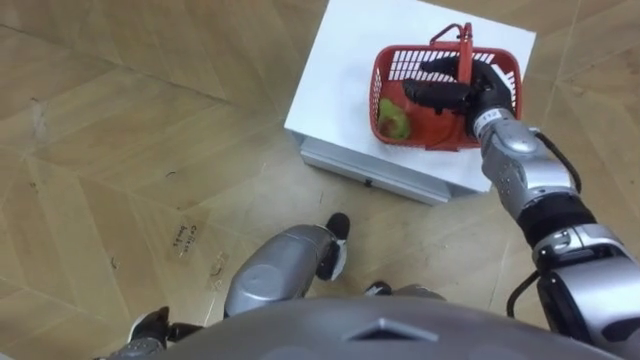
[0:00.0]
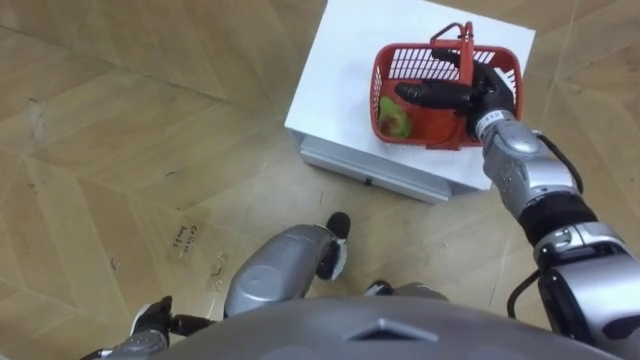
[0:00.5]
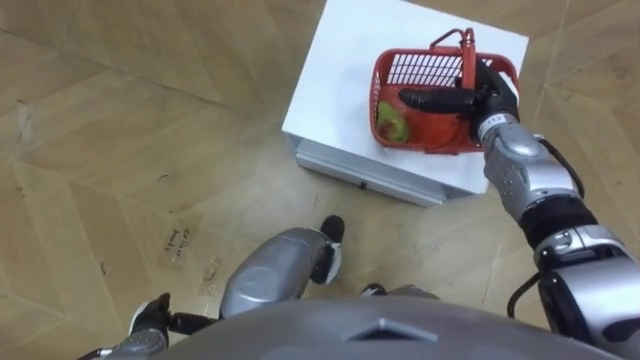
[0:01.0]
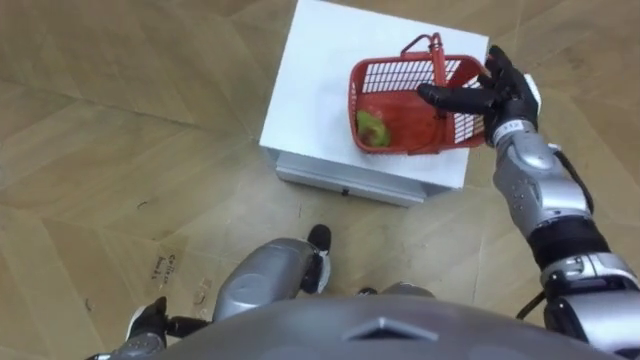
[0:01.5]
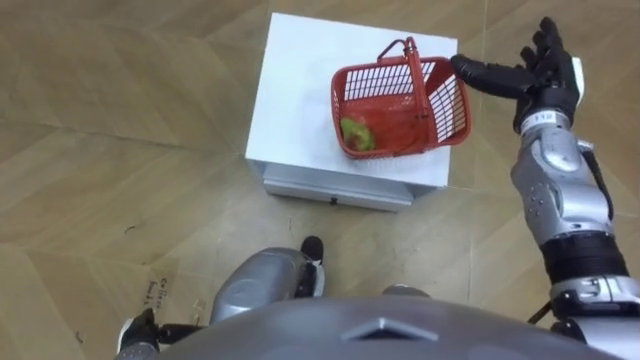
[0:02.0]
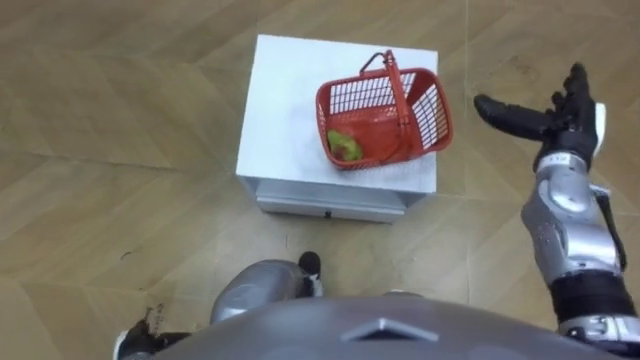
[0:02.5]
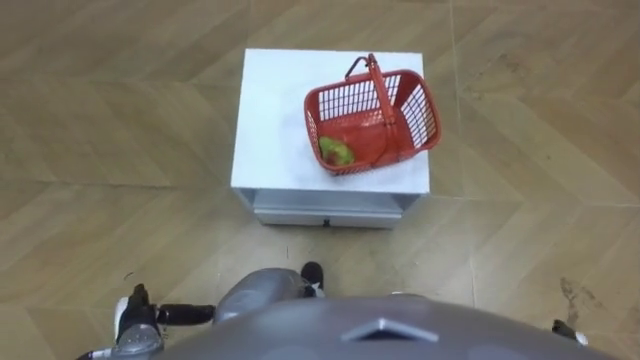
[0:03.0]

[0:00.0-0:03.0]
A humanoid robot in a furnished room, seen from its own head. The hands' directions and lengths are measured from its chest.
Task of the whole recording: Pick up the fruit basket from the floor and place it on the cabinet.
0:00.0 to 0:01.5: The right hand opens.
0:01.5 to 0:03.0: The right hand moves backward and downward, roughly 35 cm.

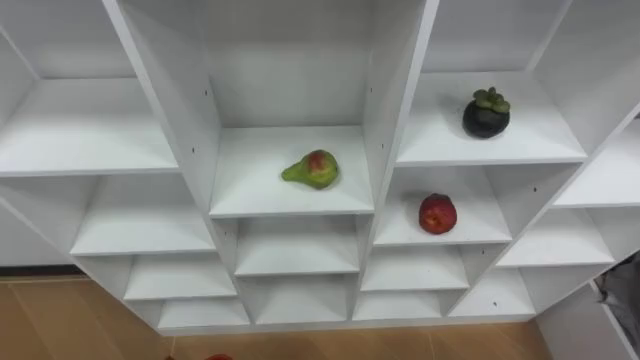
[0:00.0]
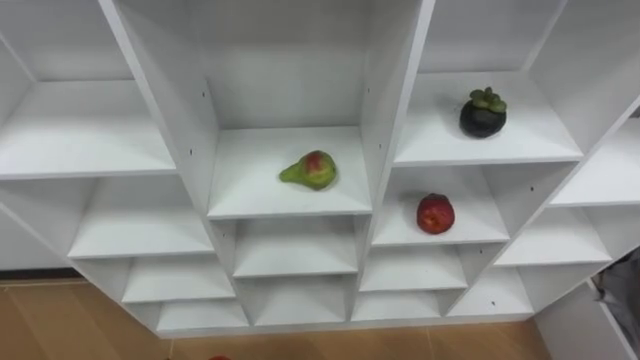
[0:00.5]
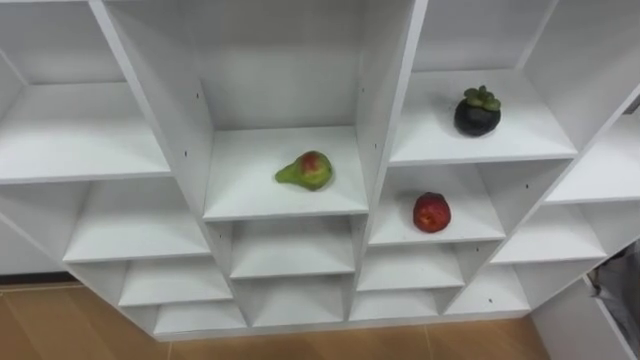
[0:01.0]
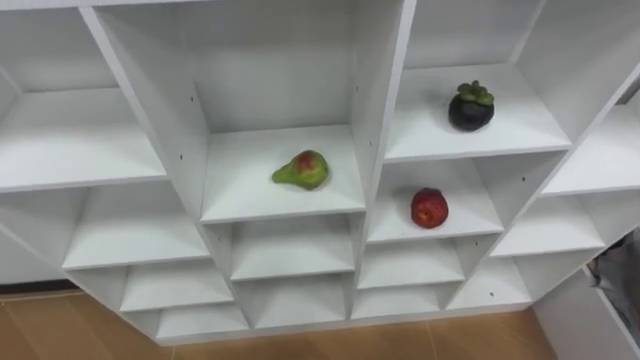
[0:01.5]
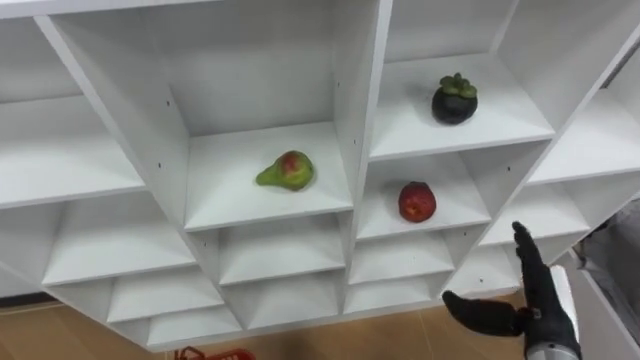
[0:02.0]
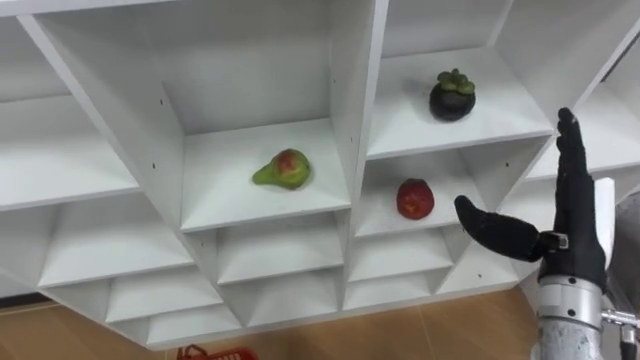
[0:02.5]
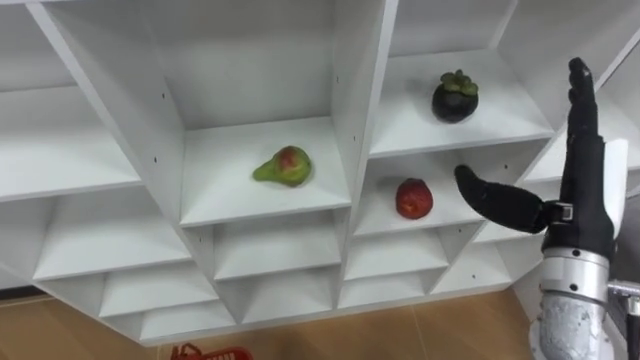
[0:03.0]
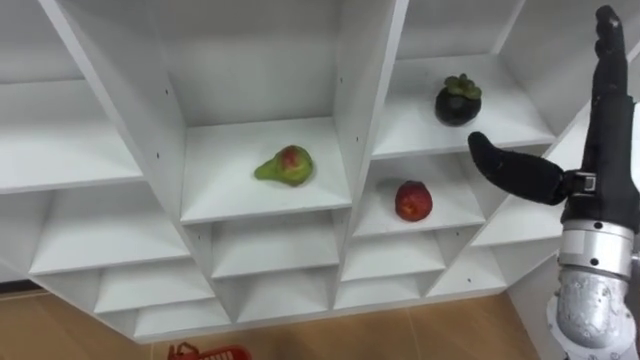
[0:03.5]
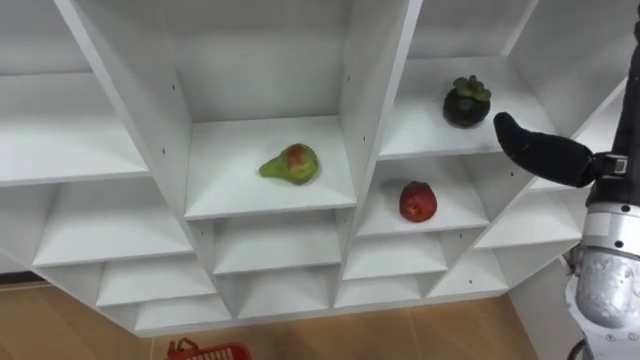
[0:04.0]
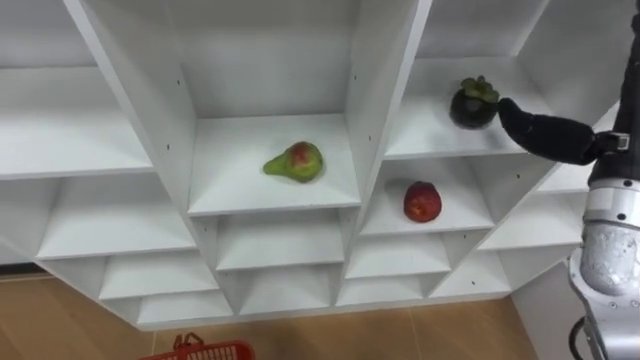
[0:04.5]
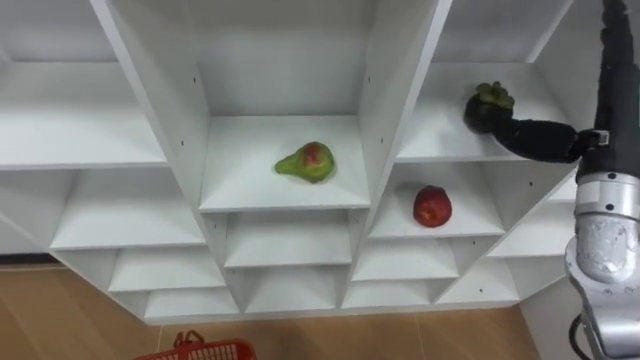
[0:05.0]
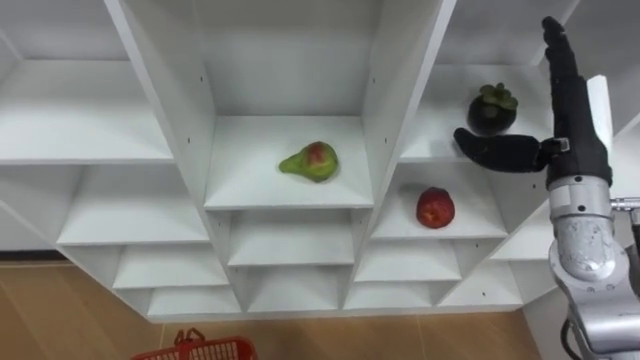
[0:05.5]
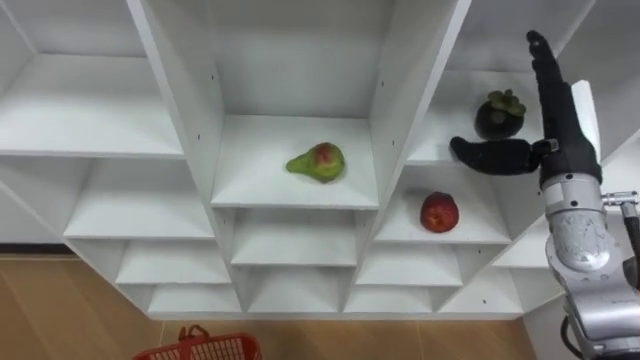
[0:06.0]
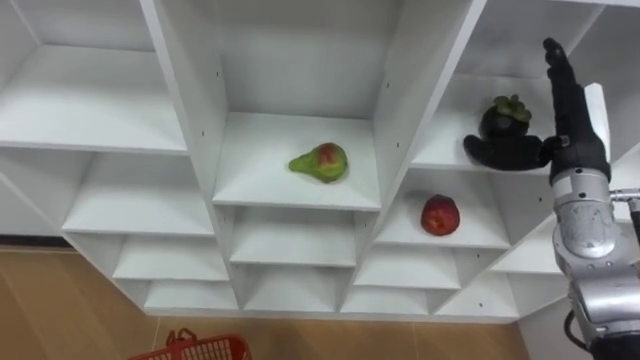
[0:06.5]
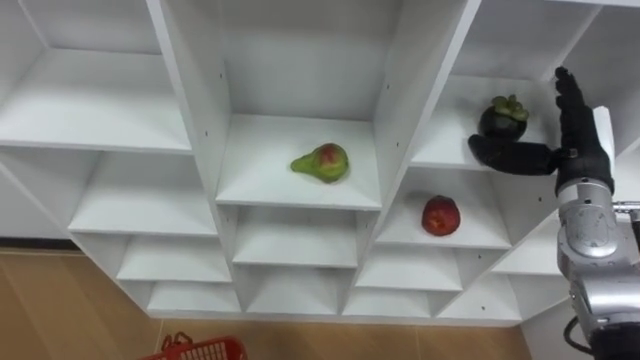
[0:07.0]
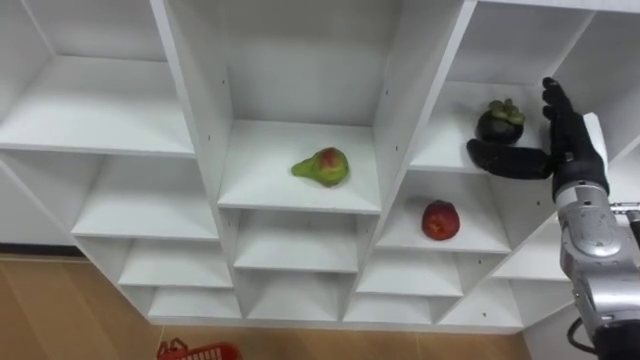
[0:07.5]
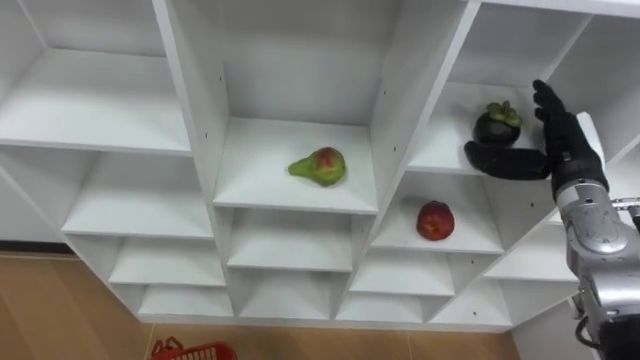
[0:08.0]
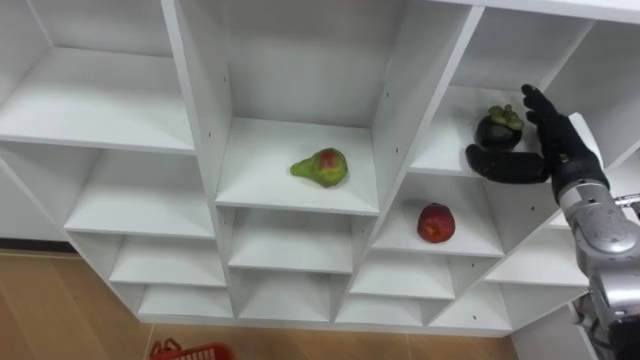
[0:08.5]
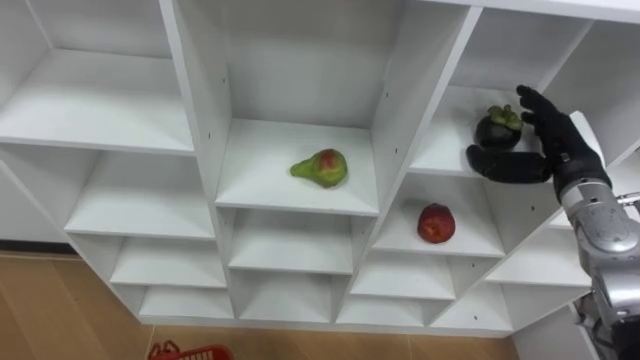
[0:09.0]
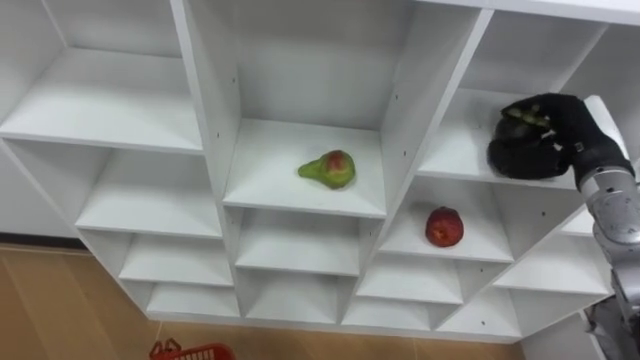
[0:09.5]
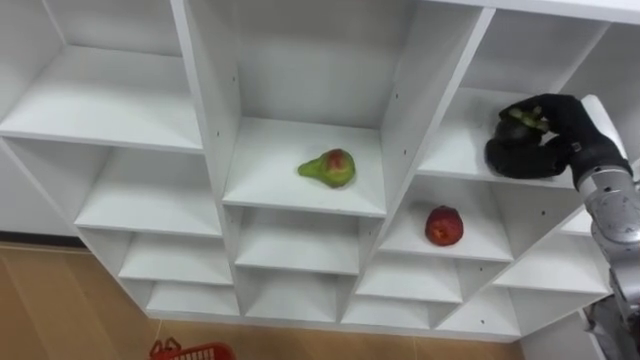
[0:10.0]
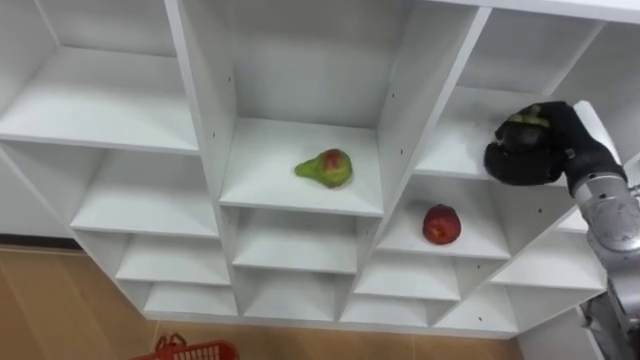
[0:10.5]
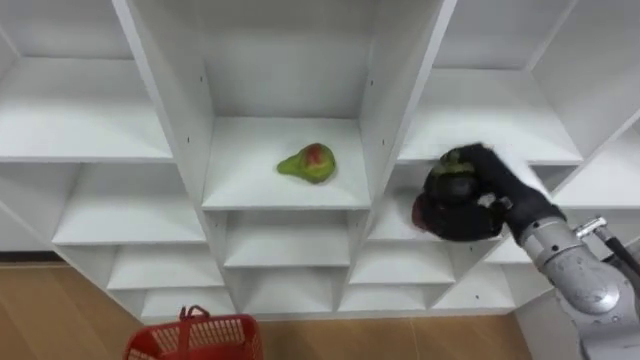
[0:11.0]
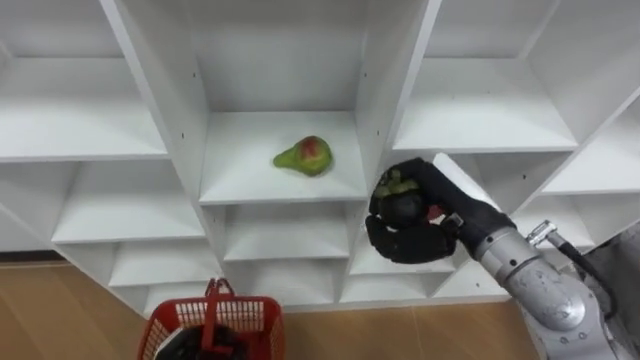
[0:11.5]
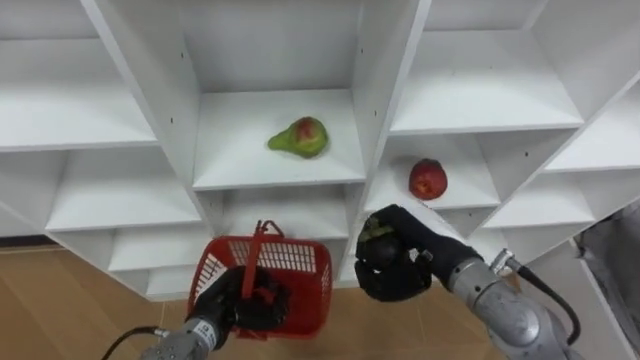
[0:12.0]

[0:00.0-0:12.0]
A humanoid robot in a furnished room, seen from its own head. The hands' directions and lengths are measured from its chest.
Task of the whole recording: Hold the basket and collect the fruits from 3 different cells of the closet into it.
0:02.0 to 0:04.0: The right hand goes roughly 20 cm upward.
0:04.0 to 0:06.0: The right hand is displaced forward and downward by some 10 cm.
0:06.0 to 0:08.0: The right hand goes roughly 5 cm downward.
0:08.0 to 0:10.0: The right hand closes its fingers.
0:10.0 to 0:12.0: The right hand shifts some 20 cm to the left and backward.

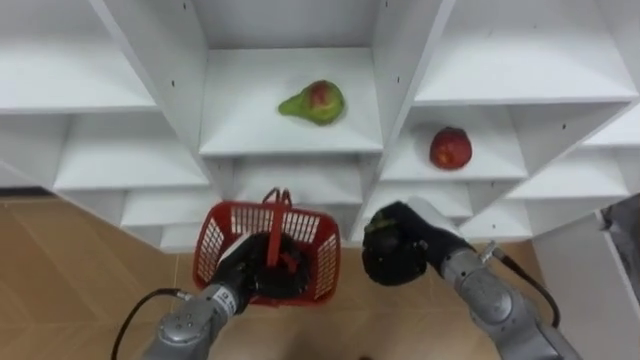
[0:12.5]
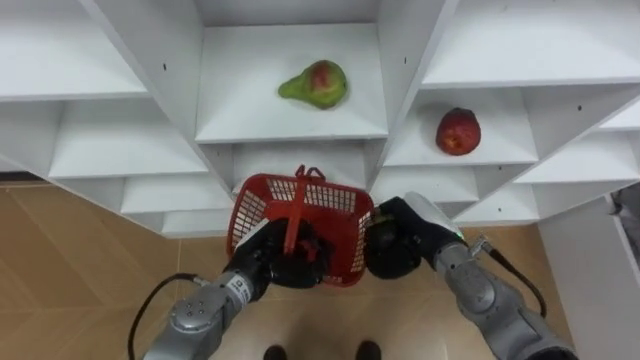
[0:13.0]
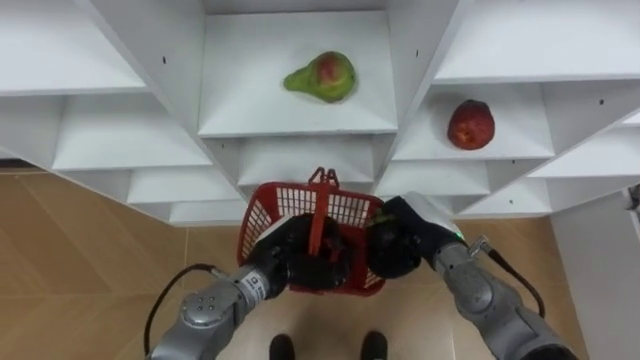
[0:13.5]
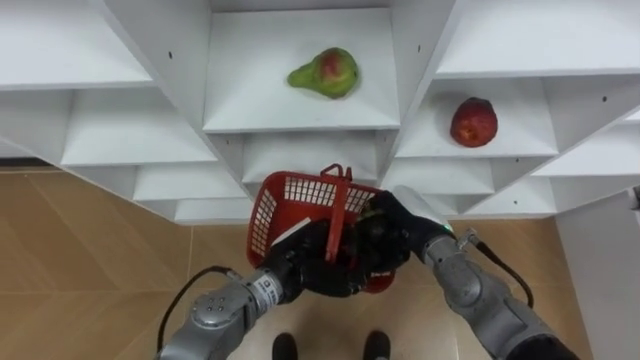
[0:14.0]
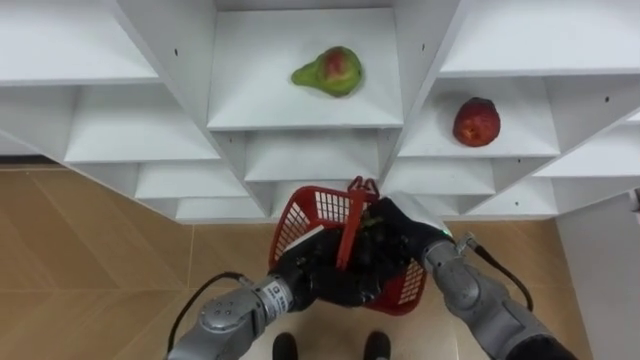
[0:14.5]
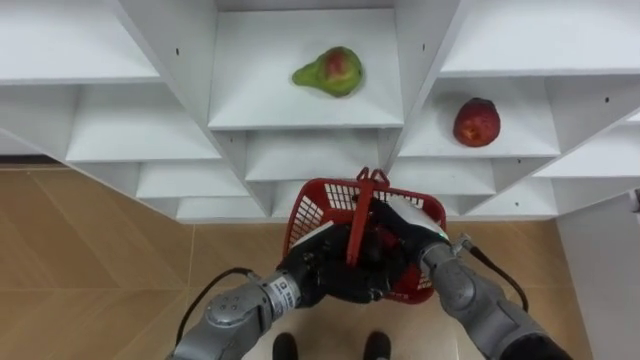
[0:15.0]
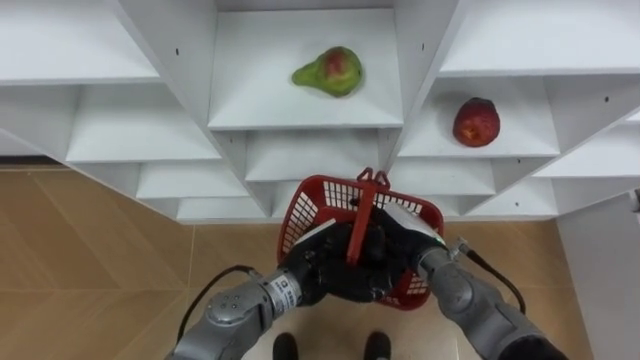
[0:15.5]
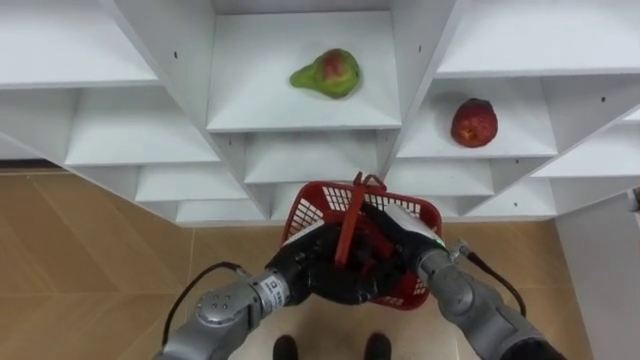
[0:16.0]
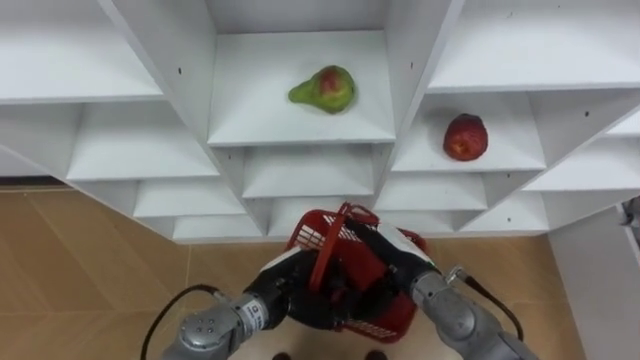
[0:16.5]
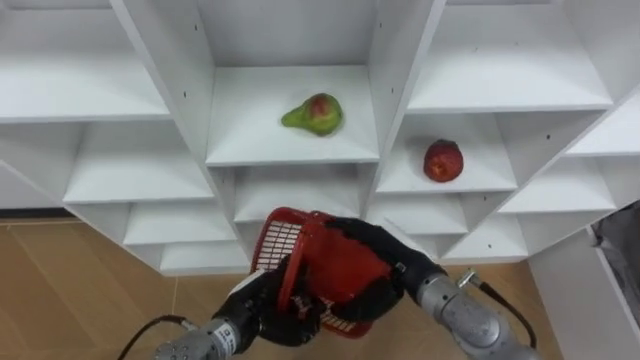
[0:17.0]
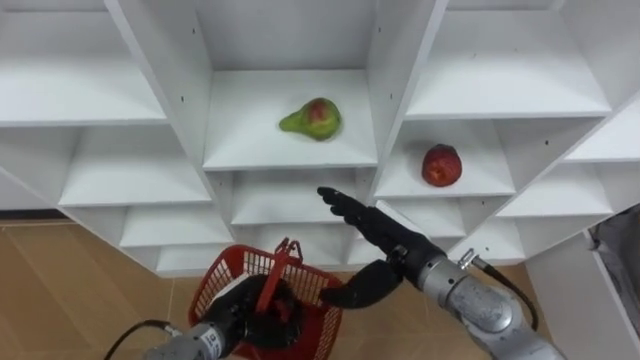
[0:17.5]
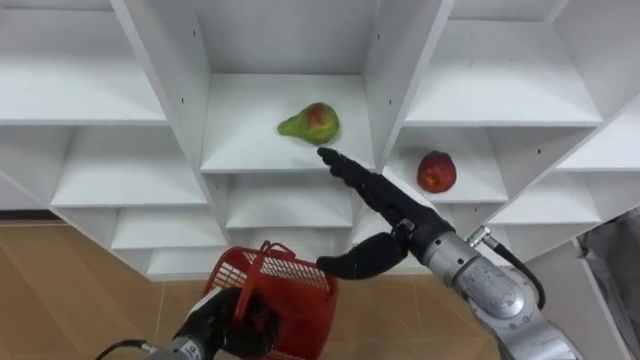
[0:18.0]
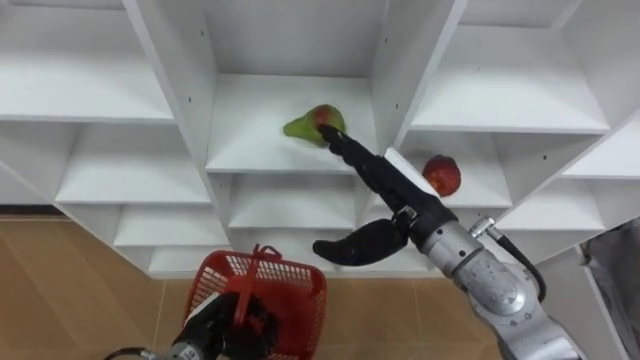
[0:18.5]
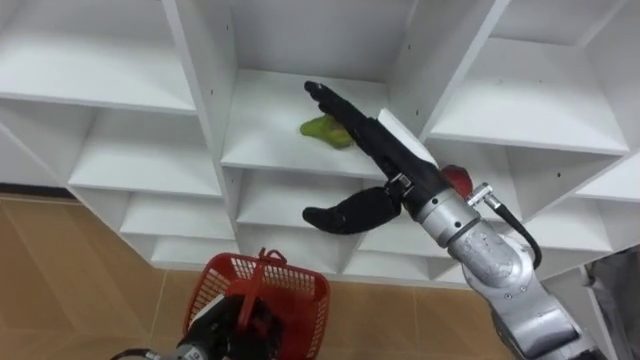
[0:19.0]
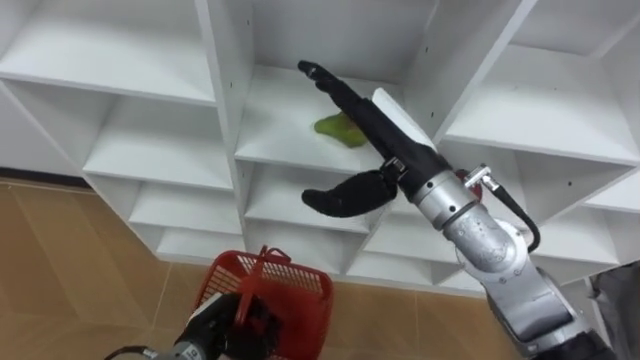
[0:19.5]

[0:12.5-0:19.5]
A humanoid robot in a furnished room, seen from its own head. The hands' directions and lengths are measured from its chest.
Task of the whole recording: Hold the basket and collect the fruits from 3 different cells of the closet into it.
0:12.5 to 0:14.5: The left hand goes about 10 cm to the right.
0:14.5 to 0:16.0: The right hand opens up.
0:16.0 to 0:17.5: The left hand is displaced to the left and downward by about 15 cm, while the right hand is displaced upward by some 5 cm.
0:17.5 to 0:19.5: The right hand moves upward, roughly 15 cm.
